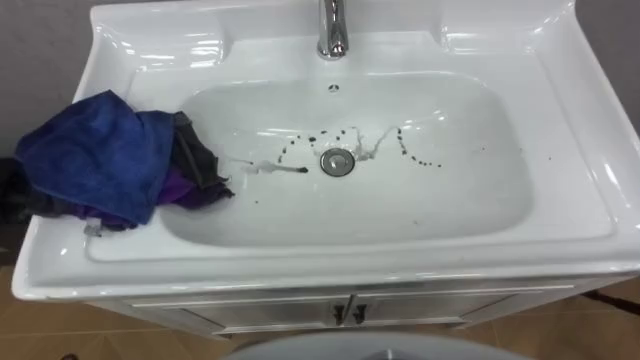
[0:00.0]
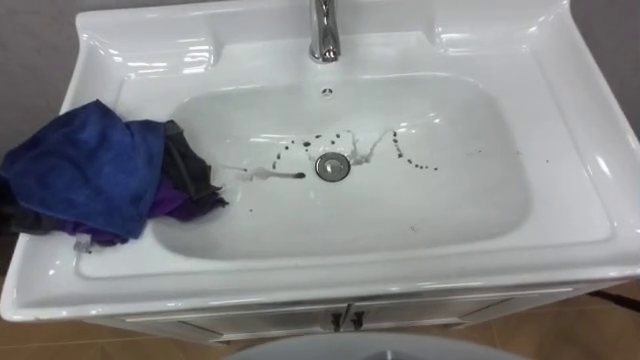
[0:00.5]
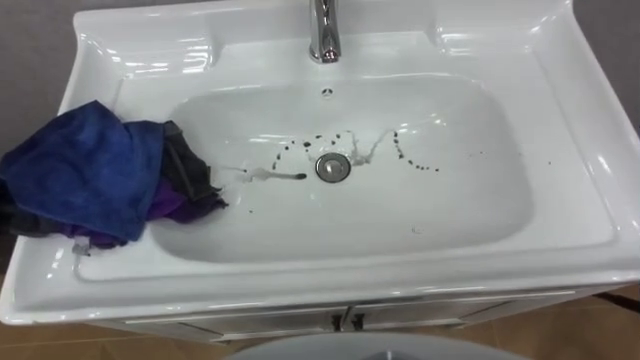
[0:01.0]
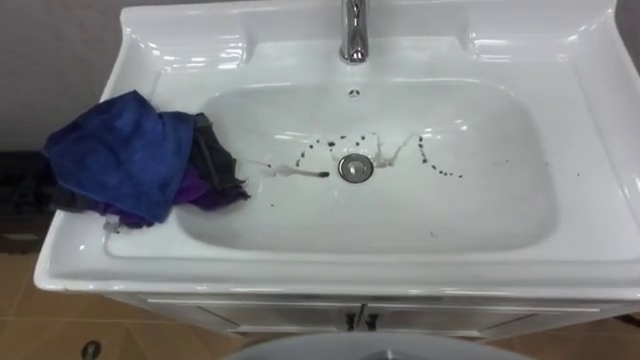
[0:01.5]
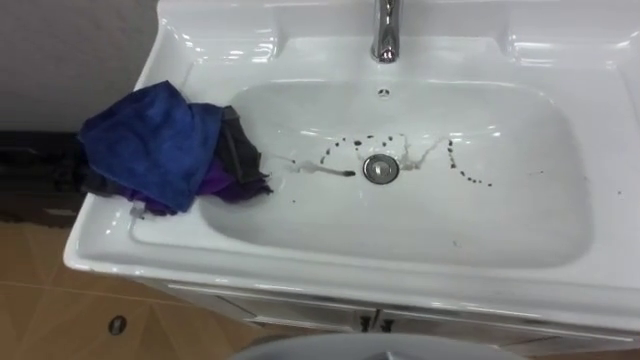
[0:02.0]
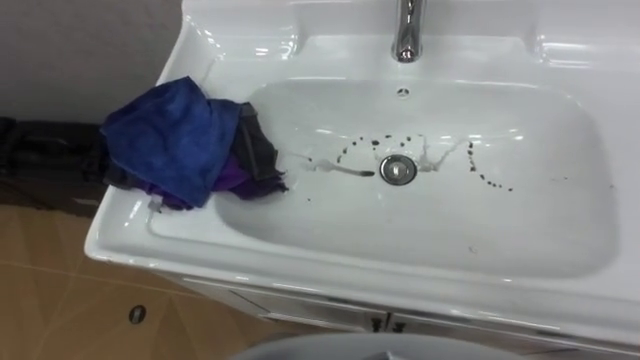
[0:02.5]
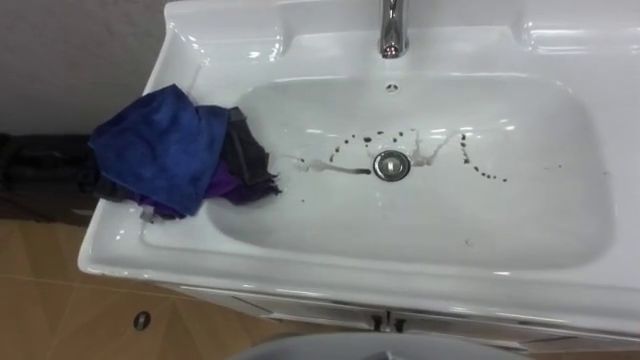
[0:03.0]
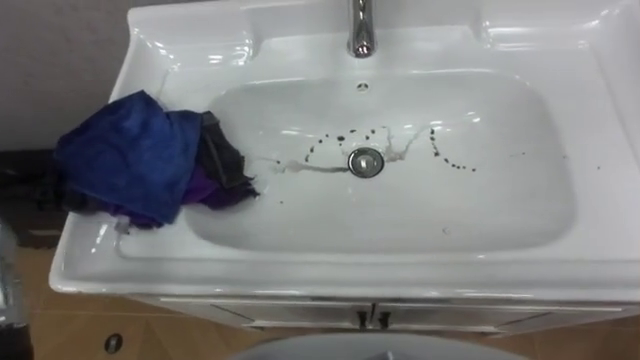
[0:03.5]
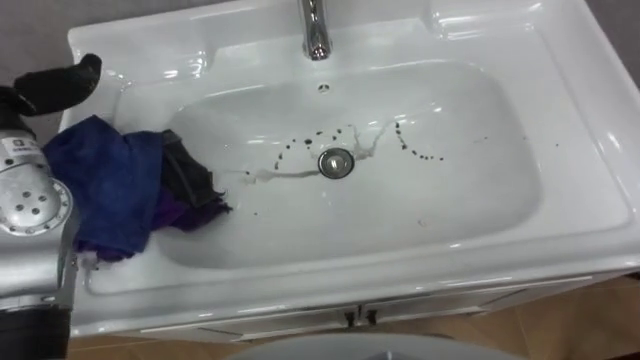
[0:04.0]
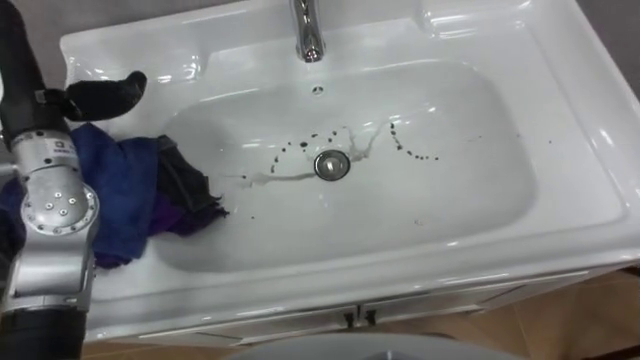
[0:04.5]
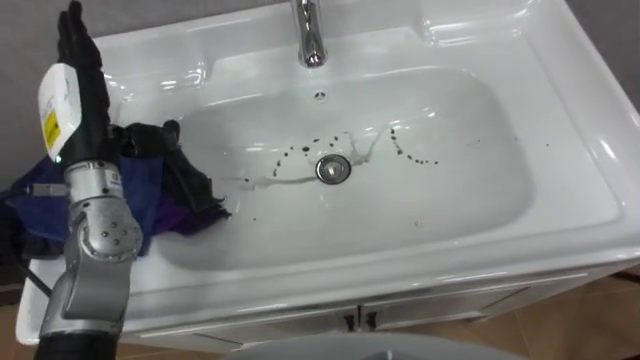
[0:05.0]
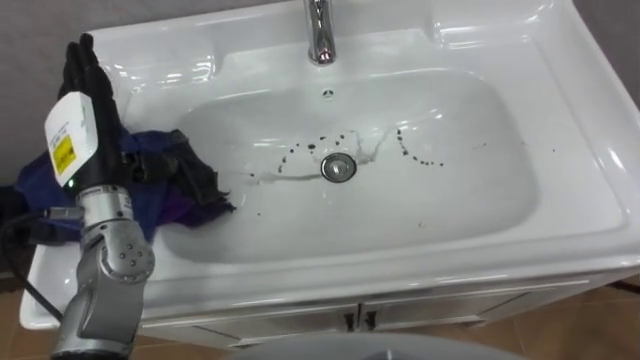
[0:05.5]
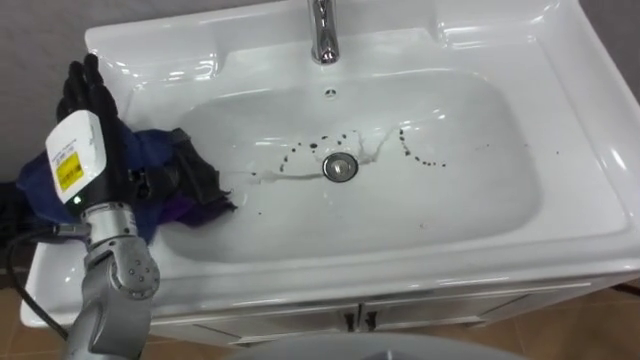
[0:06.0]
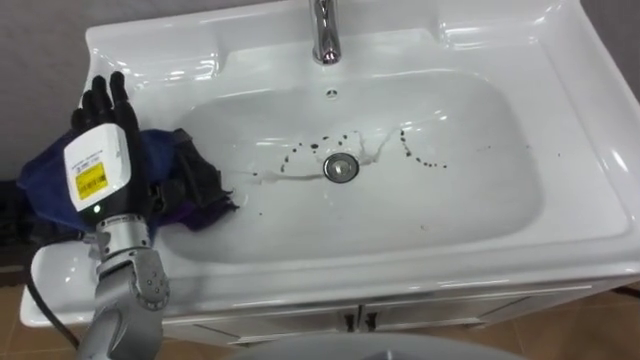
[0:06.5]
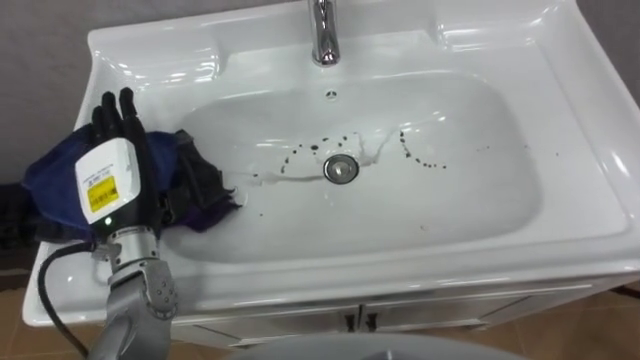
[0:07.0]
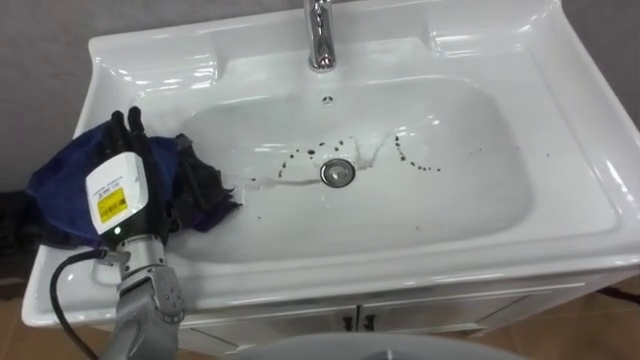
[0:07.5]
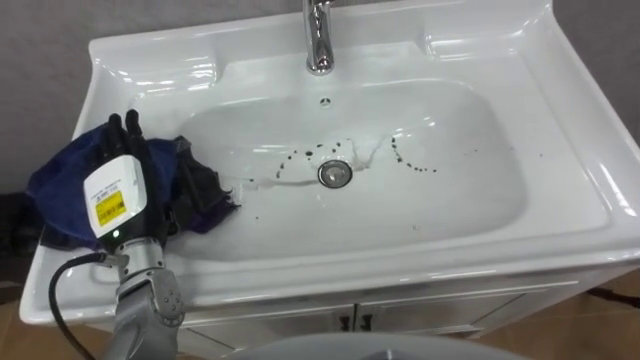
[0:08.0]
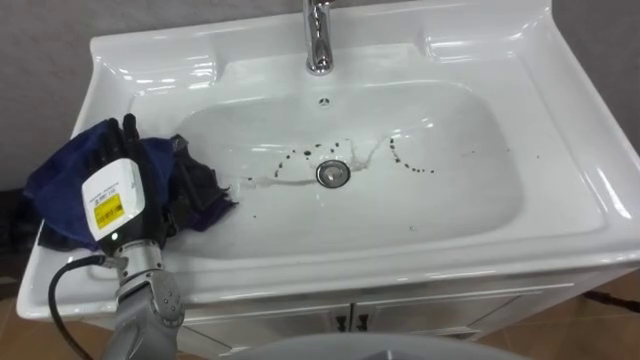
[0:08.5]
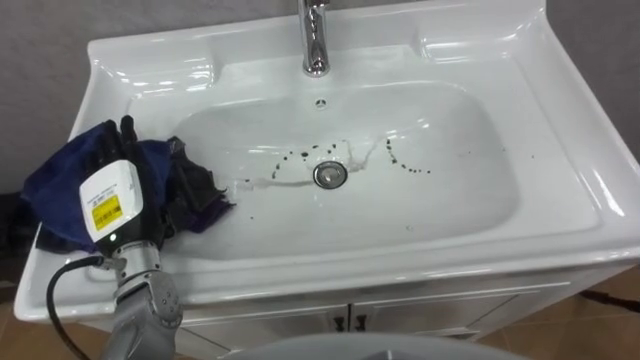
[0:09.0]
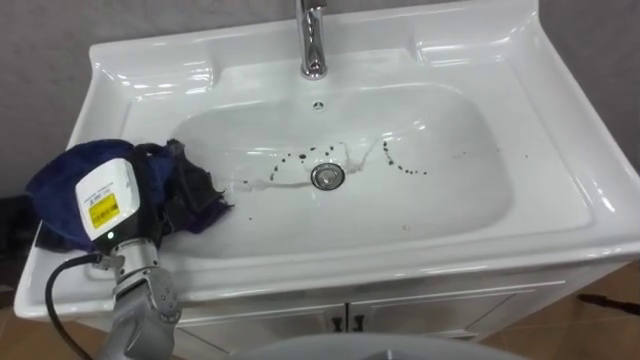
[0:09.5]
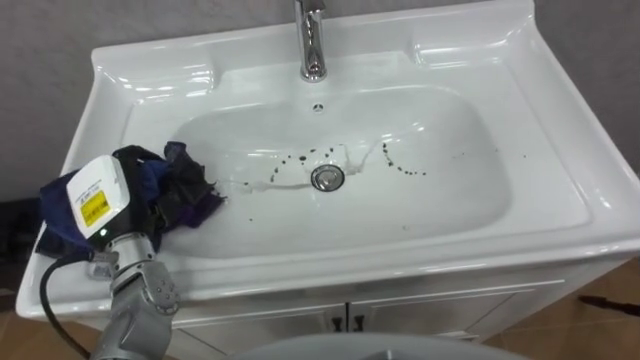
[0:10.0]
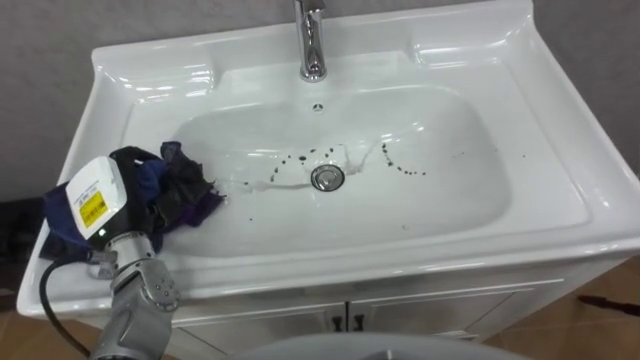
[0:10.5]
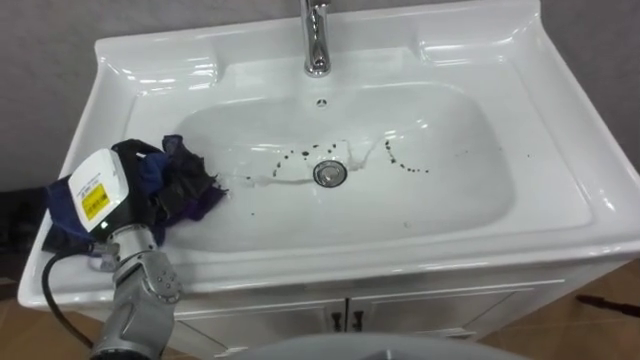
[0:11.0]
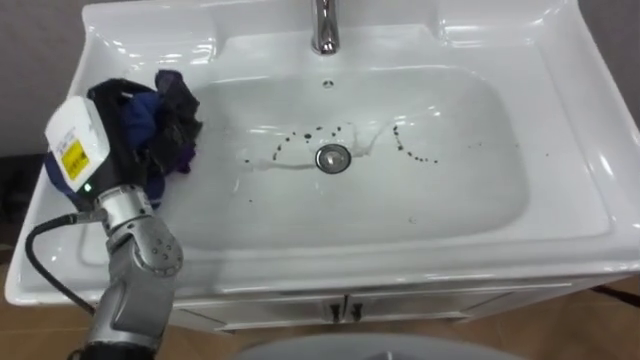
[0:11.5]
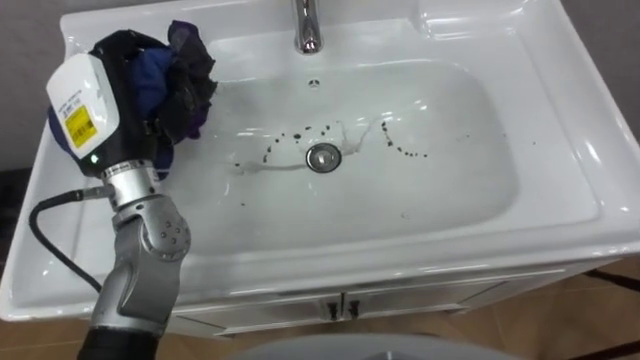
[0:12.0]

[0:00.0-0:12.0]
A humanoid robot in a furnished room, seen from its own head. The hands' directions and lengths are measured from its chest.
Task of the whole recording: Use the cloth on the right to wipe away the black stain in the sink.
6.0 to 8.0 s: The left hand heads downward, covering about 5 cm.
8.0 to 10.0 s: The left hand closes up.
10.0 to 12.0 s: The left hand heads upward and forward, covering about 15 cm.

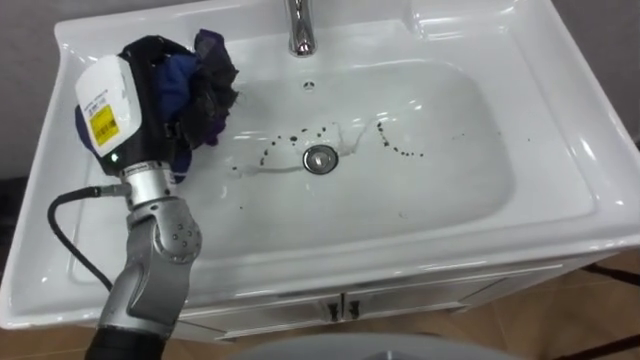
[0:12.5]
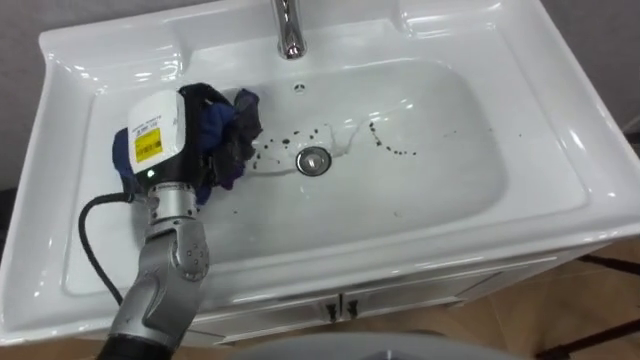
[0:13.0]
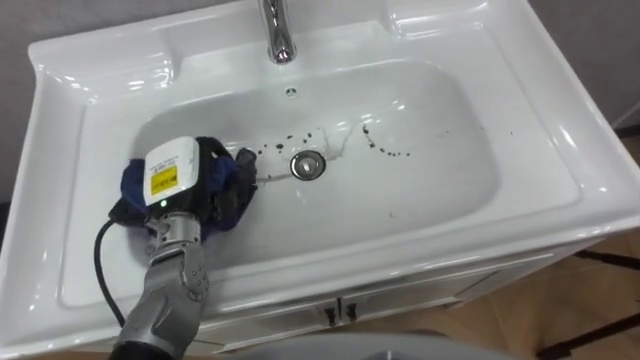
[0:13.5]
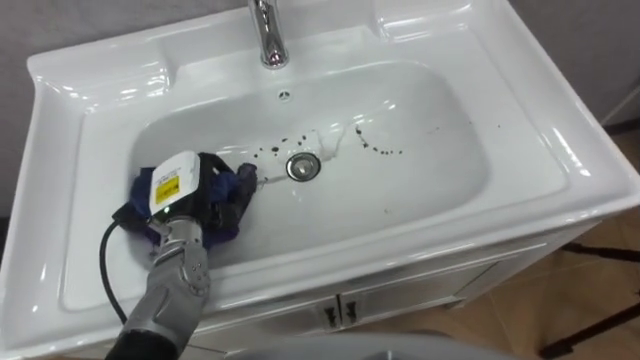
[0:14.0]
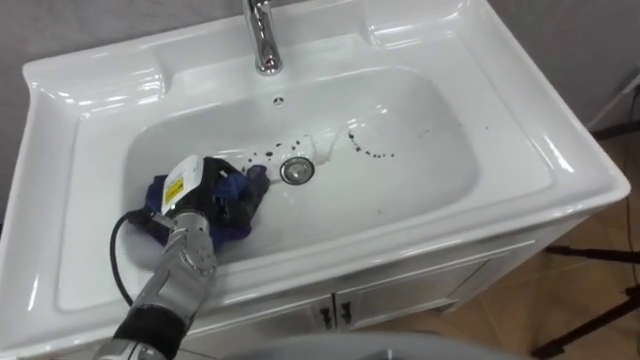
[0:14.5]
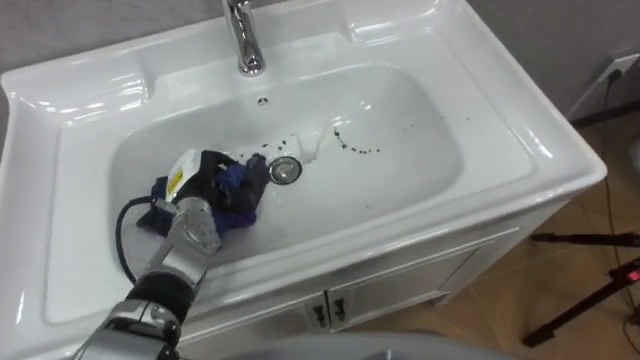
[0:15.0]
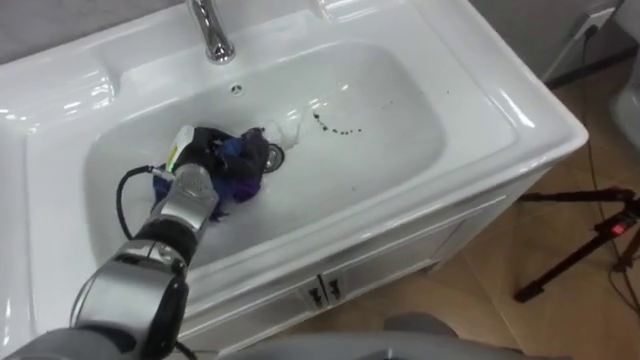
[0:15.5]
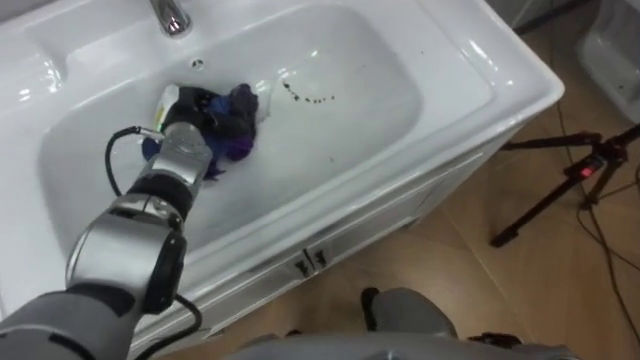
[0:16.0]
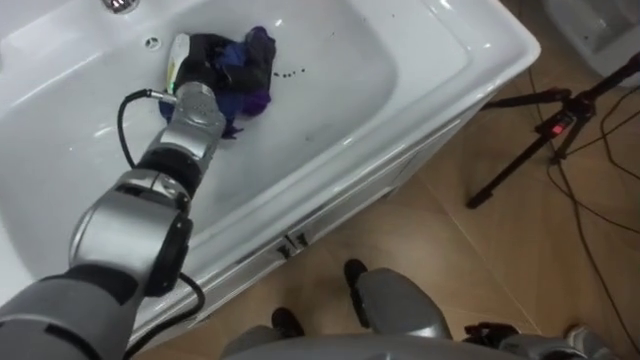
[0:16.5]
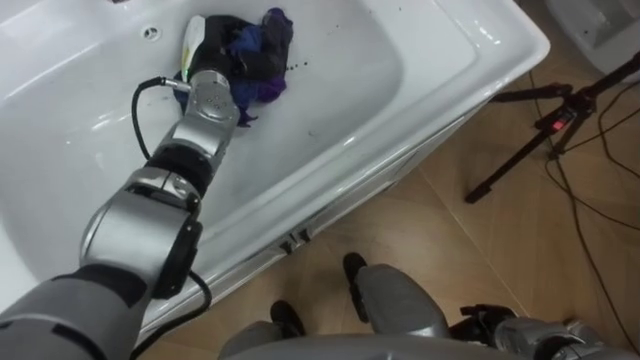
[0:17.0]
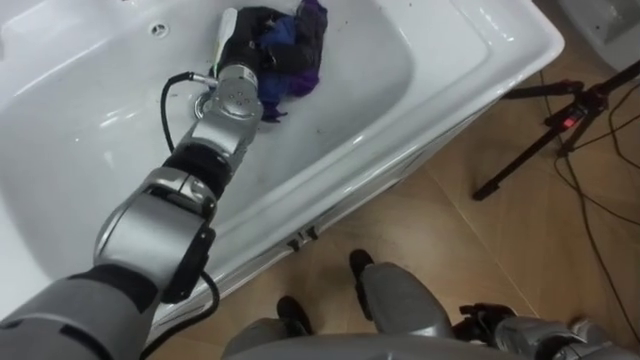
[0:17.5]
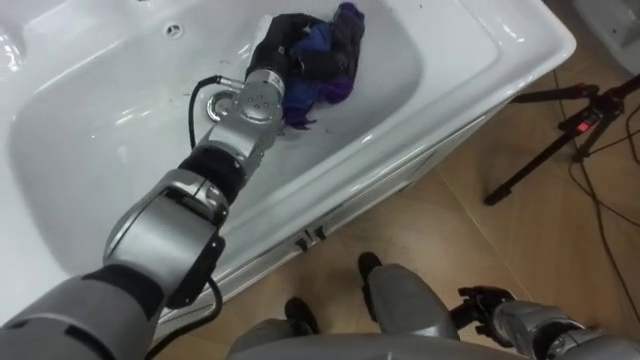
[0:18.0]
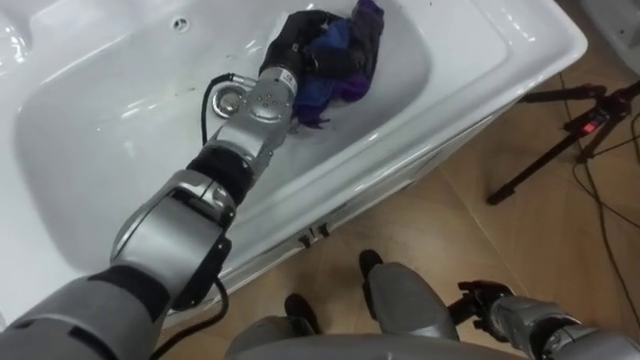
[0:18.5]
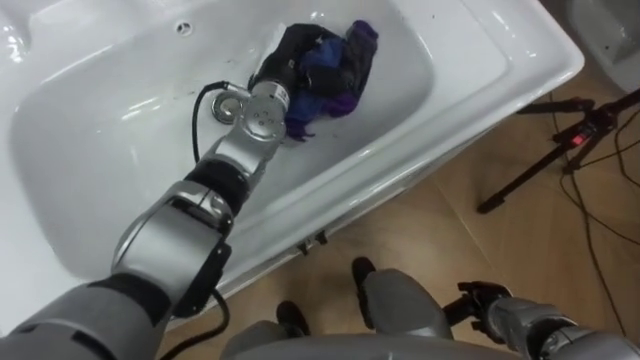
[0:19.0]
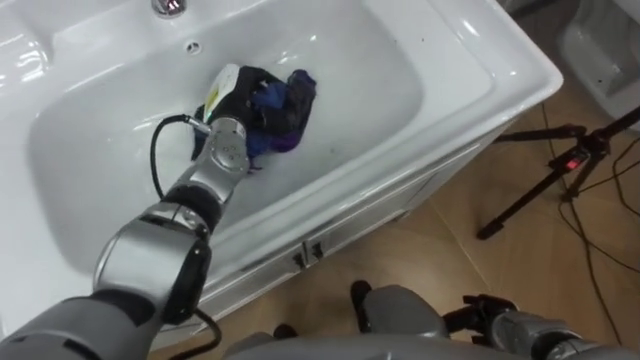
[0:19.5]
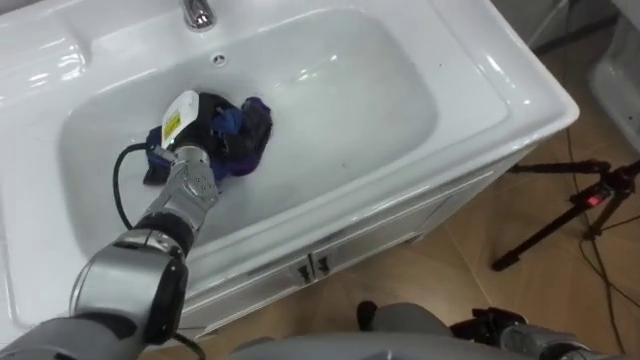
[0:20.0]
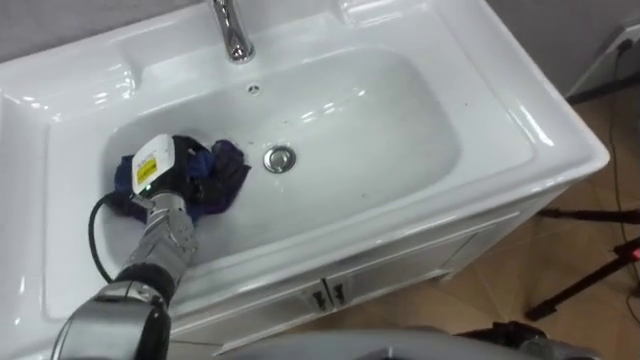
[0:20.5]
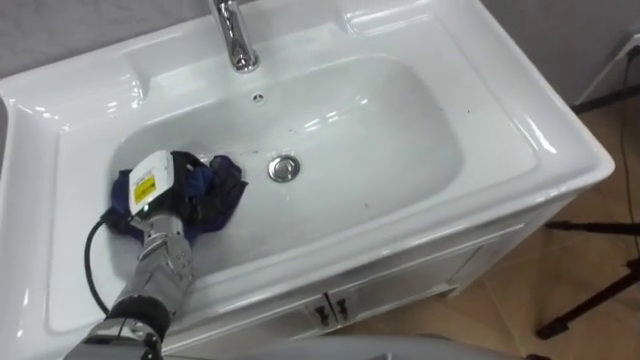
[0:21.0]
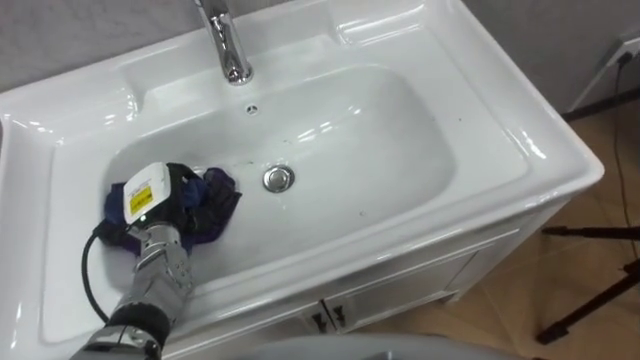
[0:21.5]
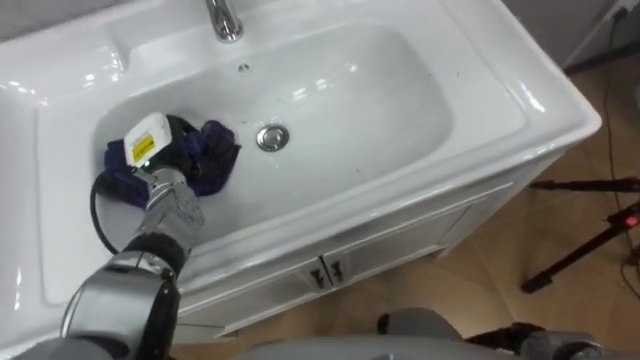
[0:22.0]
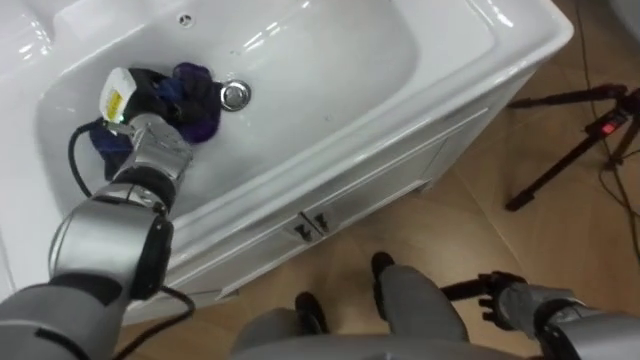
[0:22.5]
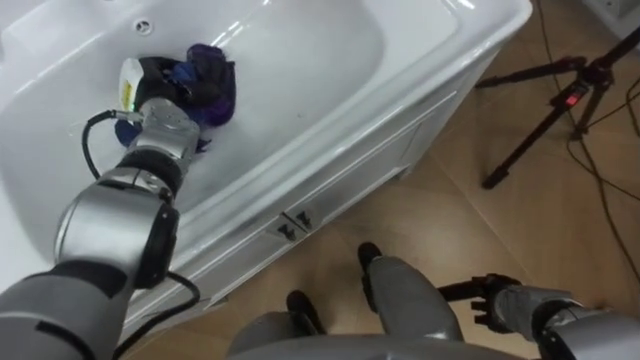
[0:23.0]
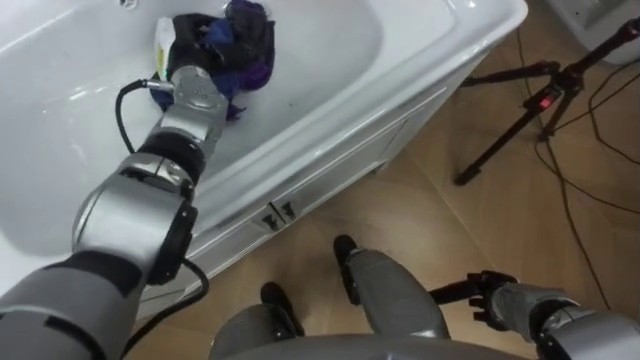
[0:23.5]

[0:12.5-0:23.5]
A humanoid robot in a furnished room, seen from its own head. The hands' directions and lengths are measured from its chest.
Task of the whole recording: Use the cloth on the right to wipe away the black stain in the sink.
12.5 to 14.5 s: The left hand moves downward, about 20 cm.
14.5 to 16.0 s: The left hand shifts about 10 cm forward.
16.0 to 18.0 s: The left hand travels to the right and upward by some 15 cm.
18.0 to 20.0 s: The left hand goes approximately 20 cm to the left, downward and backward.
20.0 to 21.5 s: The left hand heads backward and to the left, covering approximately 10 cm.
21.5 to 23.5 s: The left hand travels forward, upward and to the right by roughly 20 cm.
